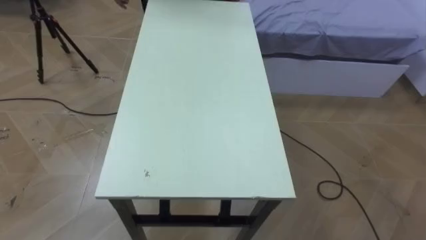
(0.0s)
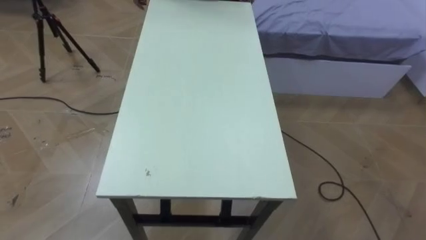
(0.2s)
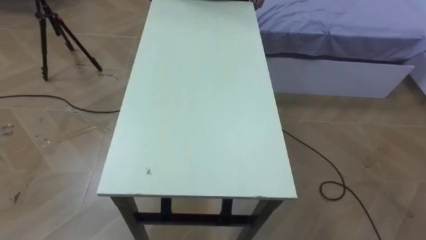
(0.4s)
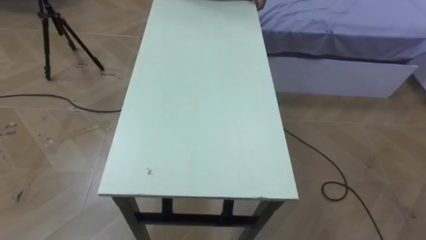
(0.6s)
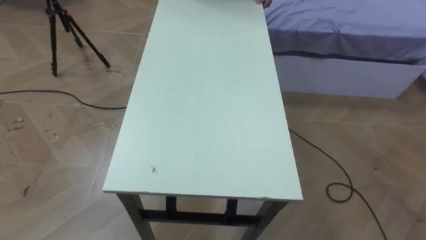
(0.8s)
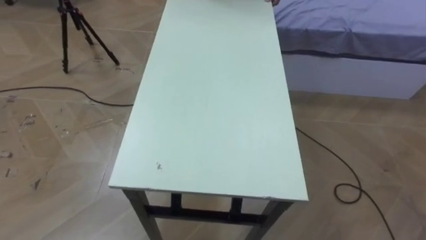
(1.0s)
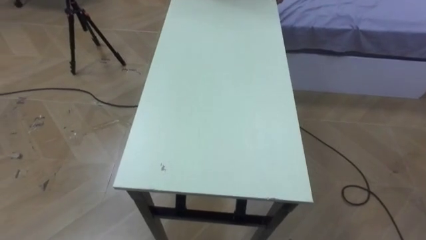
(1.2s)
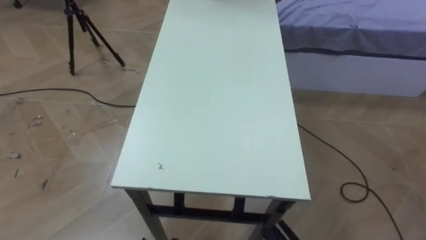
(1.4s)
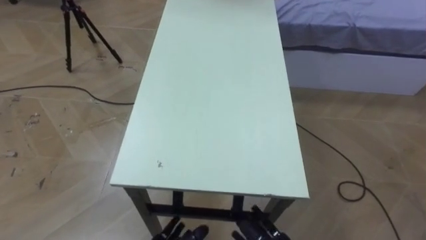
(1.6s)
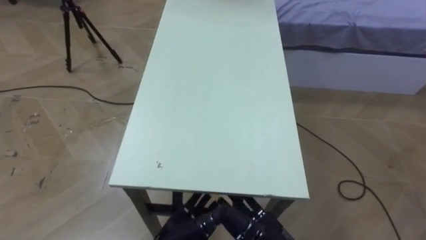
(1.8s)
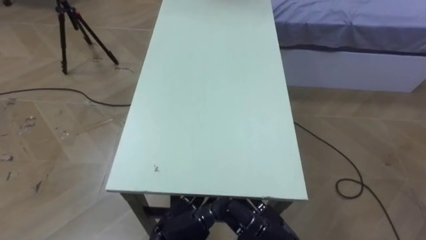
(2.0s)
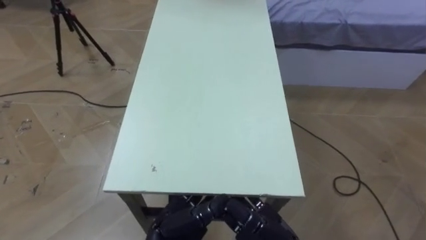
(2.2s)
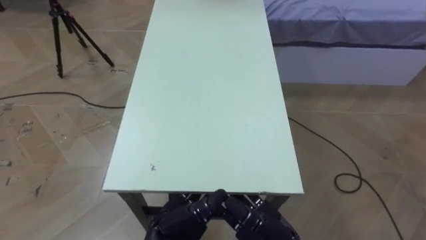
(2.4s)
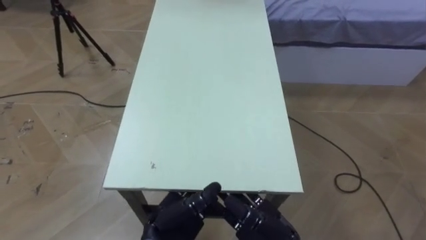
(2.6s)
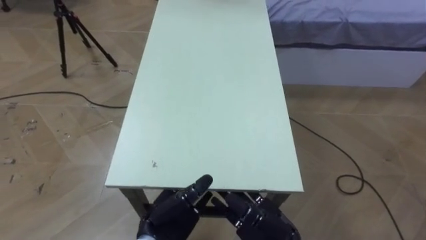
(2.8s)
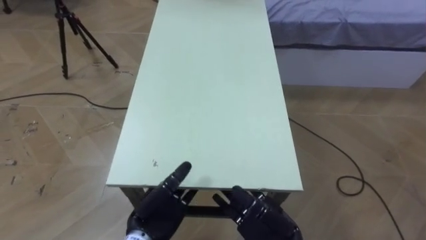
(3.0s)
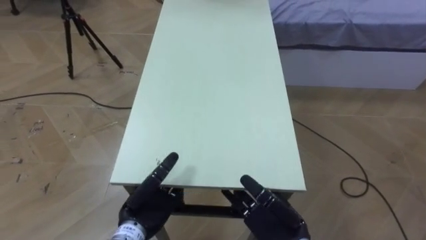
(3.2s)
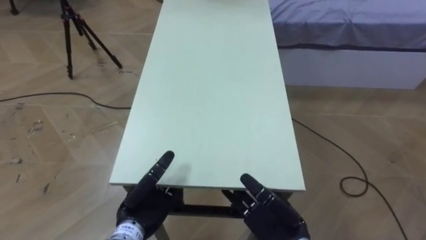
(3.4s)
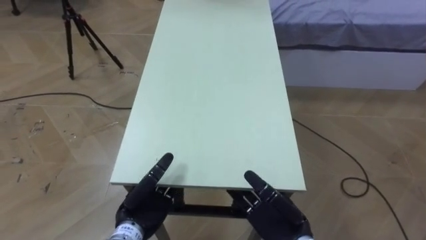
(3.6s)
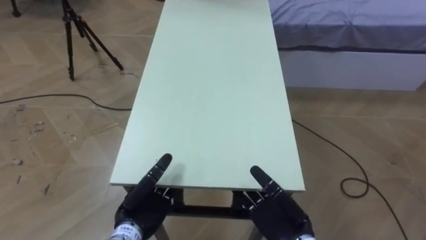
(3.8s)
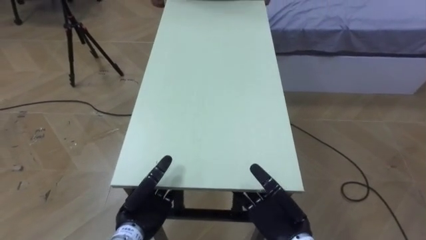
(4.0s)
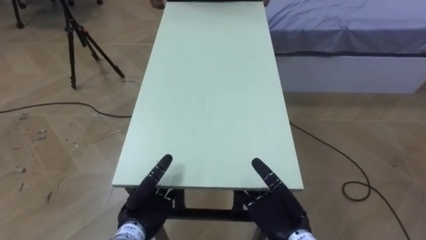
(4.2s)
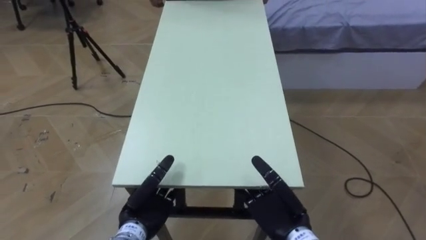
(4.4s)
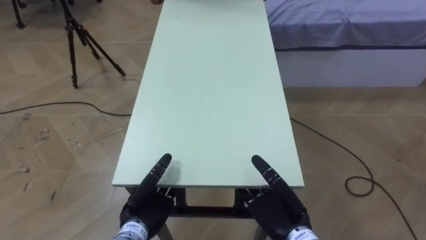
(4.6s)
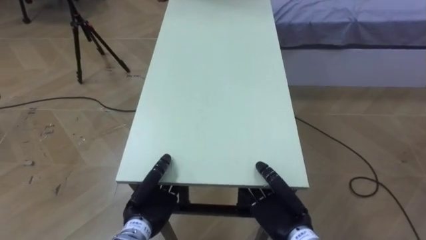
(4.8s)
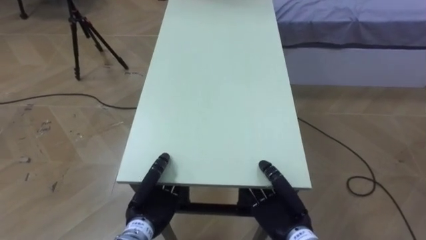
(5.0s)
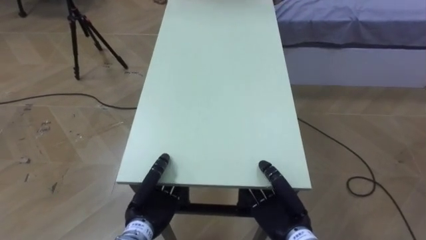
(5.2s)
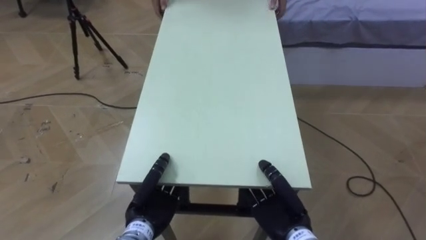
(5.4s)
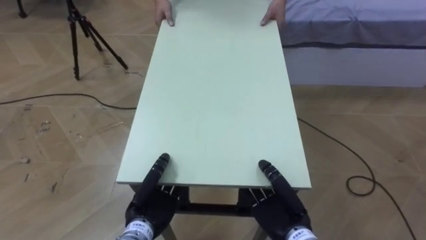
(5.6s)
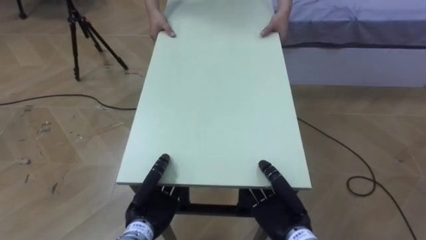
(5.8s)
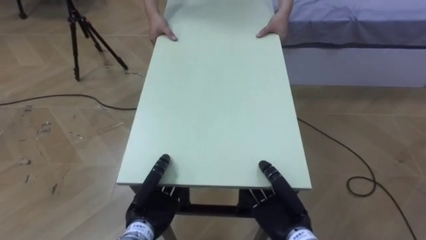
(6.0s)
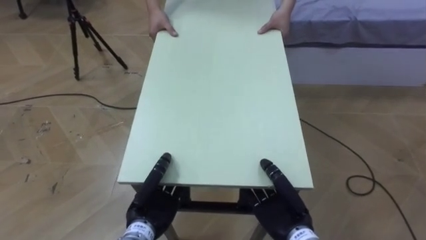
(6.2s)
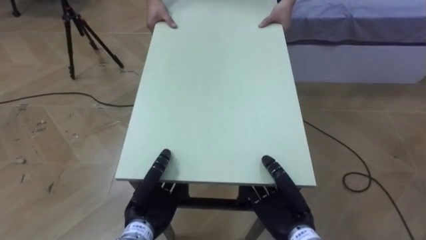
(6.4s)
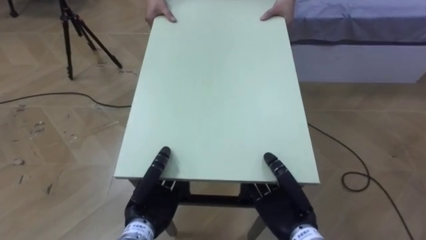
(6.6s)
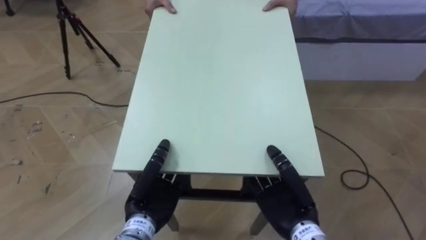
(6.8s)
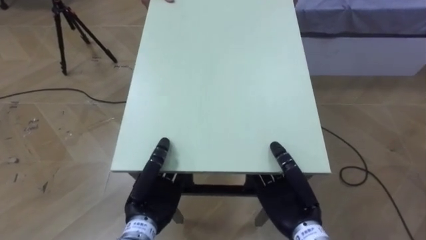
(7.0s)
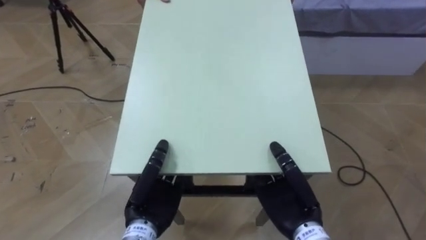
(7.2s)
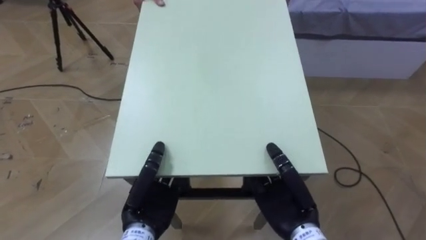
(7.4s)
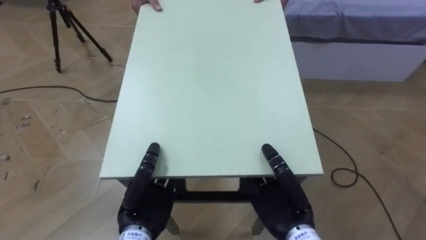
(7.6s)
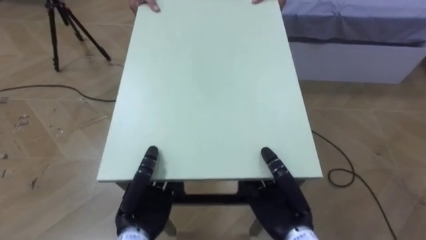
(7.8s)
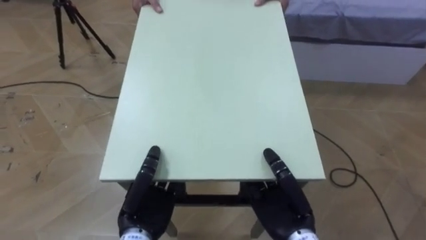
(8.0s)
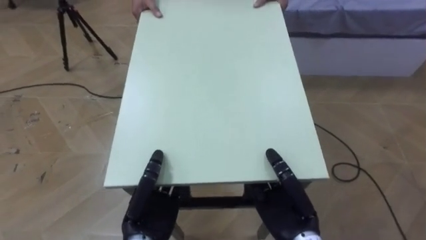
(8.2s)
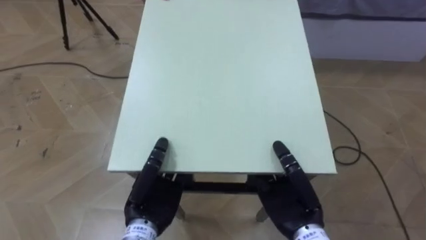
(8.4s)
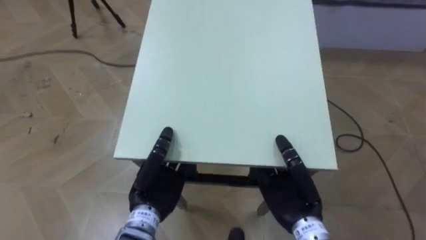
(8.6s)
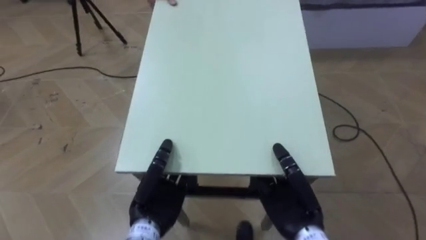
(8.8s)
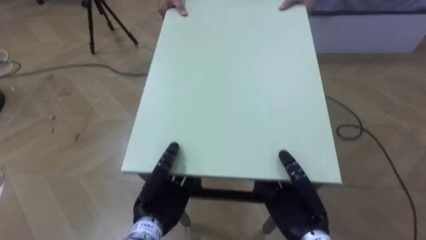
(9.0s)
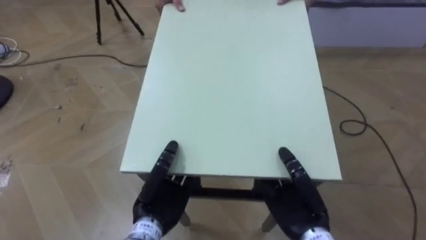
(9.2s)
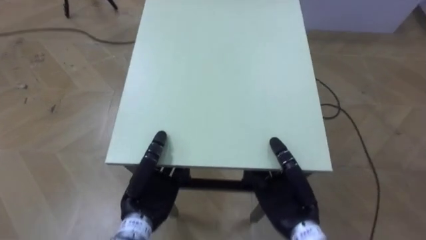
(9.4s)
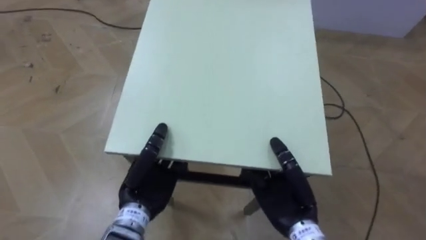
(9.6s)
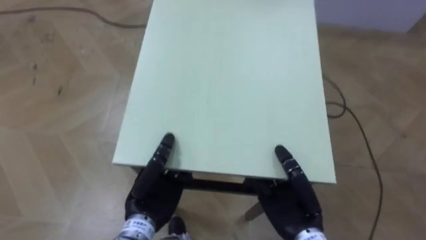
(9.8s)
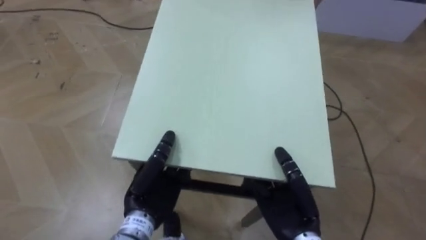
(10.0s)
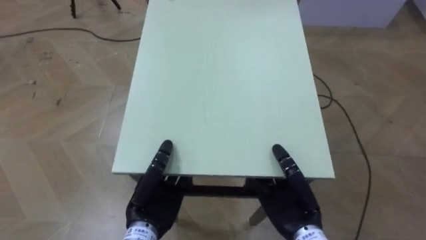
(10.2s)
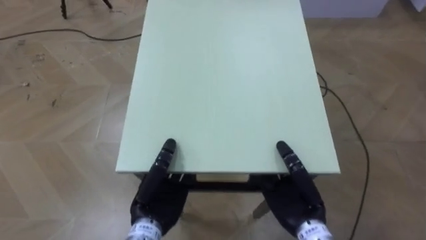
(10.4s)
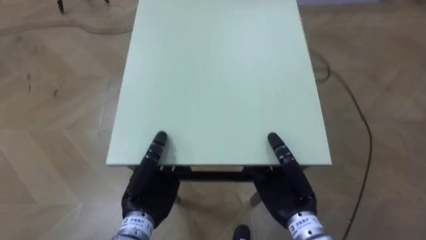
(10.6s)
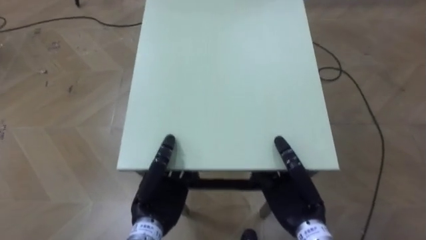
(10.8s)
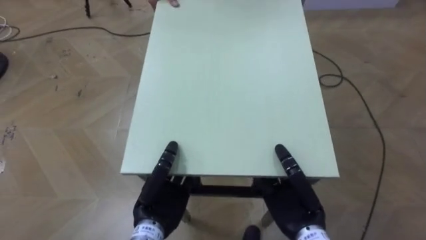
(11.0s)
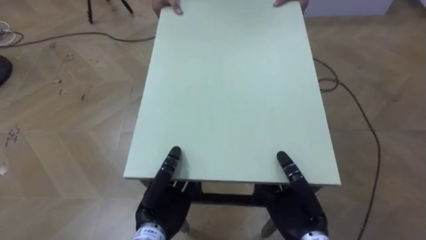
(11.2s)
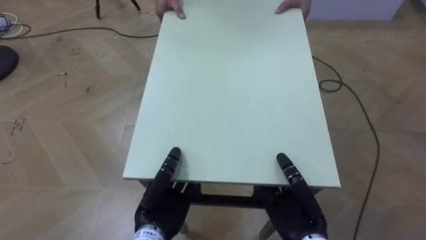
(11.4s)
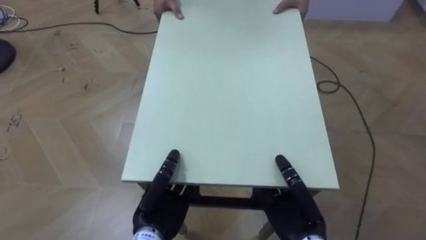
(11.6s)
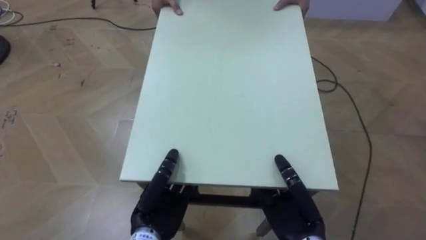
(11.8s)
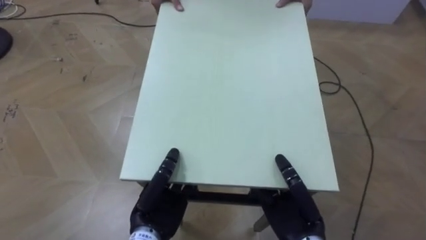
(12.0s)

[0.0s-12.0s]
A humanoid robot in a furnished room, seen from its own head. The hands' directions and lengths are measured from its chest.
Task of the whole recording: Move the table to the back left with someone.
4.4s to 6.0s: The right hand closes; the left hand closes up.
6.0s to 7.6s: The left hand goes roughly 5 cm upward, while the right hand shifts by about 5 cm.

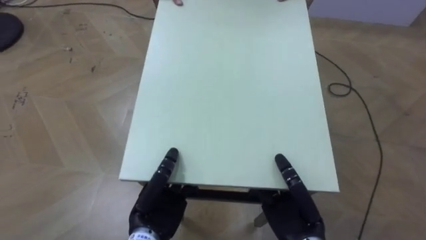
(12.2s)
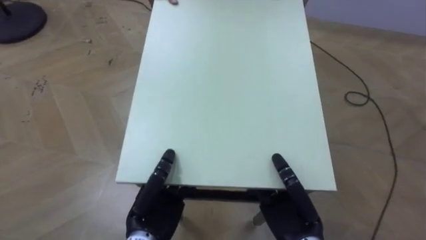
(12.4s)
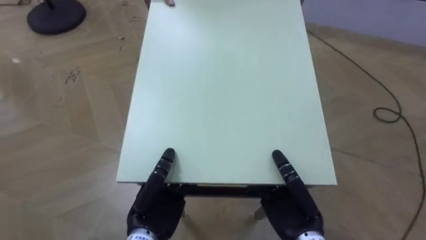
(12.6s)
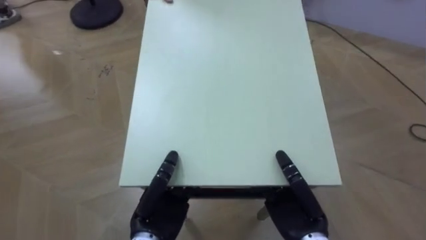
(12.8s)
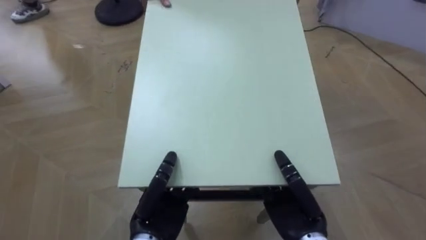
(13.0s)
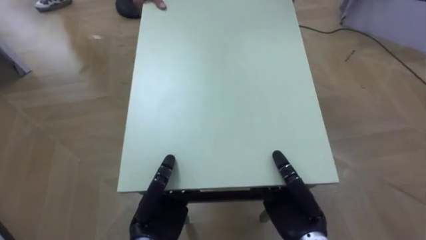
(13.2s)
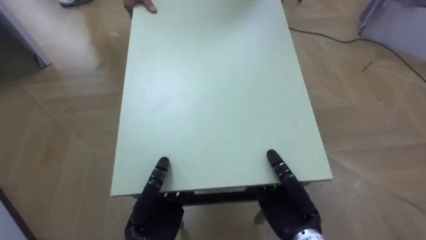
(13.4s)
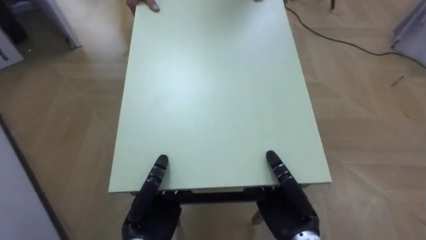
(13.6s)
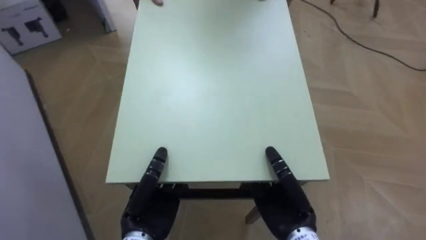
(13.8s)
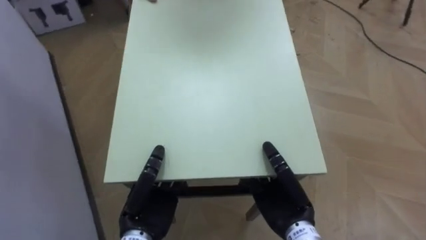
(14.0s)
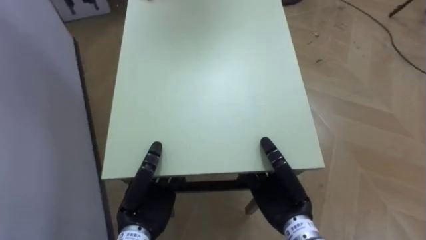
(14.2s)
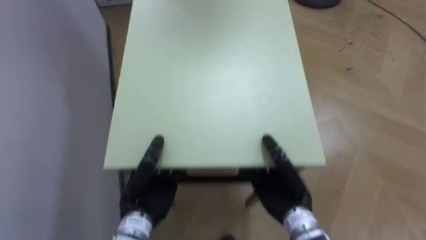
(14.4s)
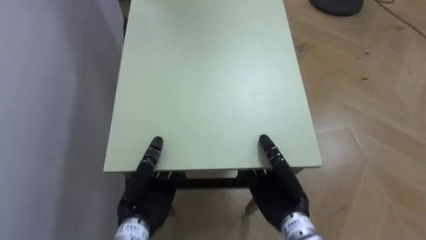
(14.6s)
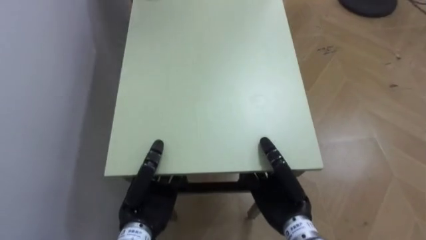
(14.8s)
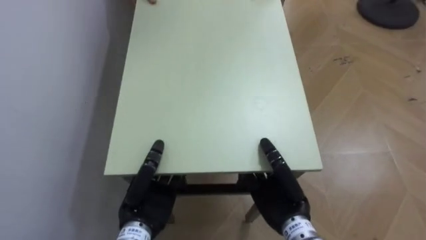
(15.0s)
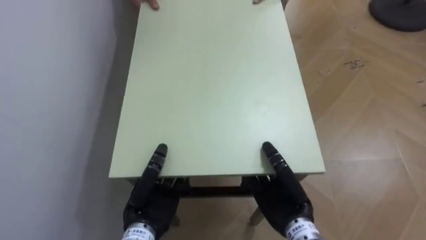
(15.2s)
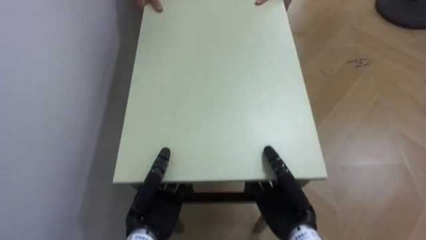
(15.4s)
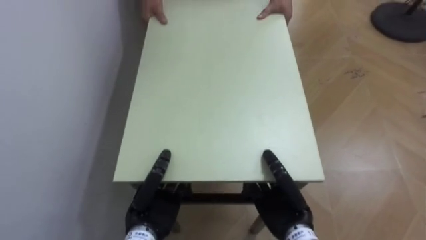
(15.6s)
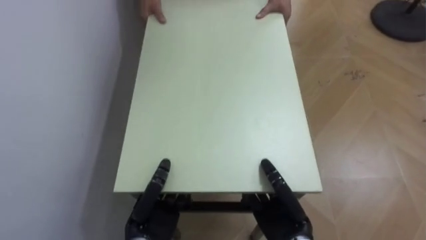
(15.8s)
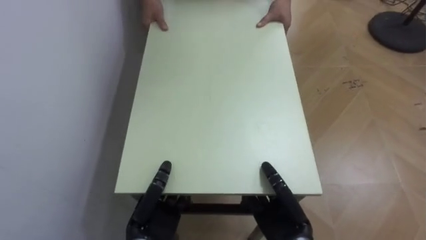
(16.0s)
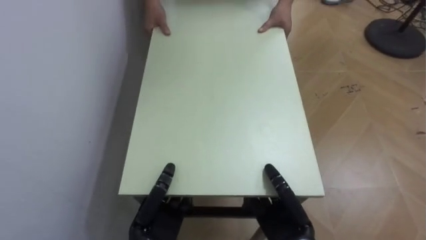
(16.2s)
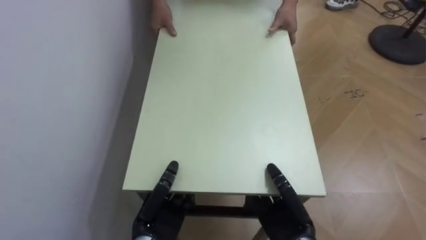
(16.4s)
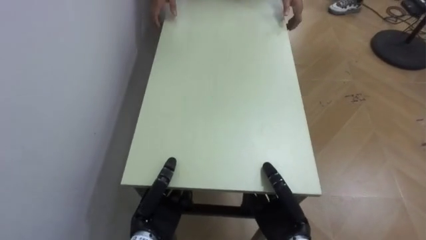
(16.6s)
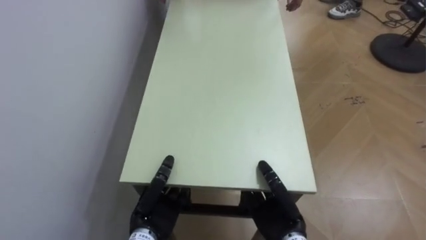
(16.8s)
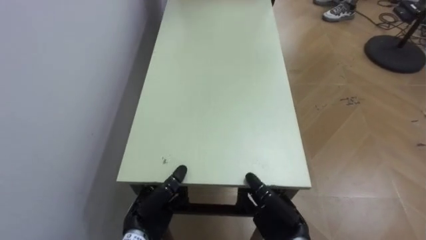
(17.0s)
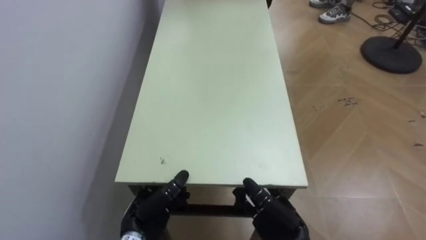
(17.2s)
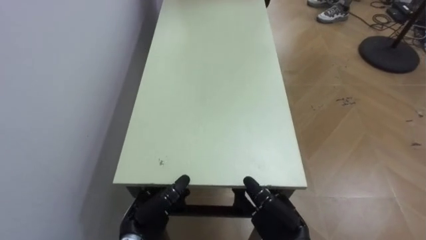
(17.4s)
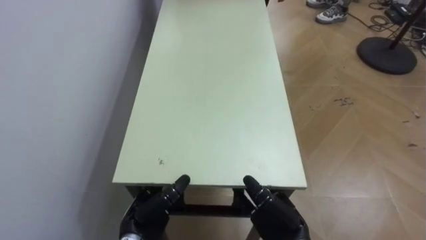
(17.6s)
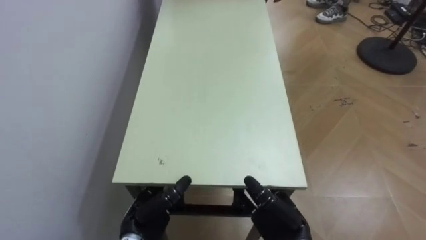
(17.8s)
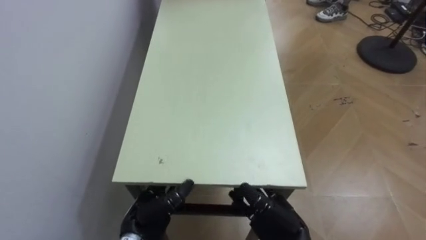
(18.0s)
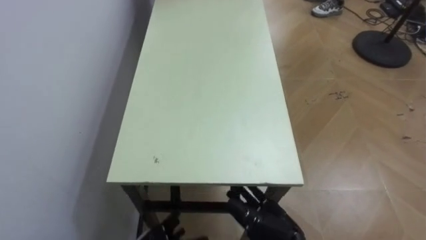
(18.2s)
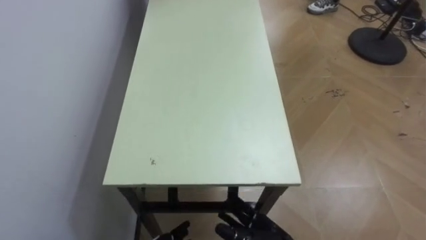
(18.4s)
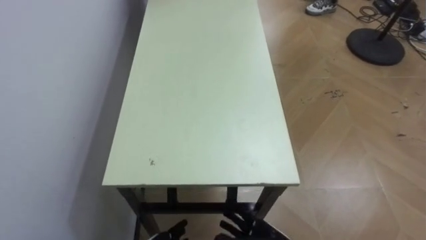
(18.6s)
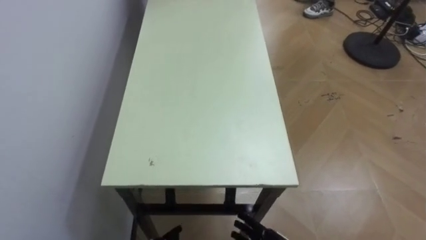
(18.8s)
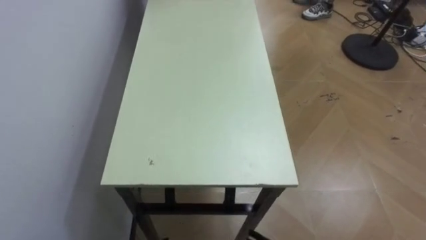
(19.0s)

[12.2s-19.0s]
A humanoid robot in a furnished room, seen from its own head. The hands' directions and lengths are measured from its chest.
Task of the whole recording: Move the table to the back left with someone.
12.2s to 13.6s: The robot rotates about 40 degrees to its left.
13.6s to 15.0s: The robot's body swings some 40 degrees to its left.
15.0s to 16.2s: The left hand shifts roughly 5 cm downward, while the right hand shifts by some 5 cm.
16.2s to 17.6s: The left hand opens. The right hand opens up.
